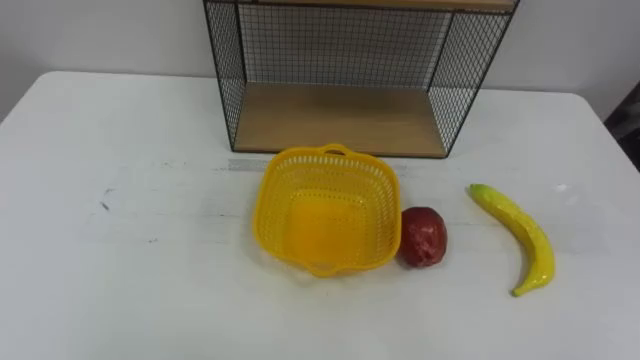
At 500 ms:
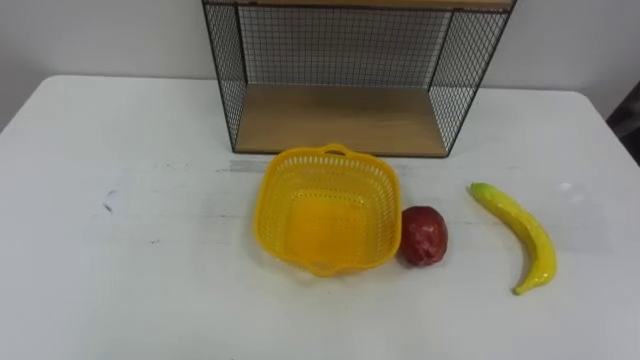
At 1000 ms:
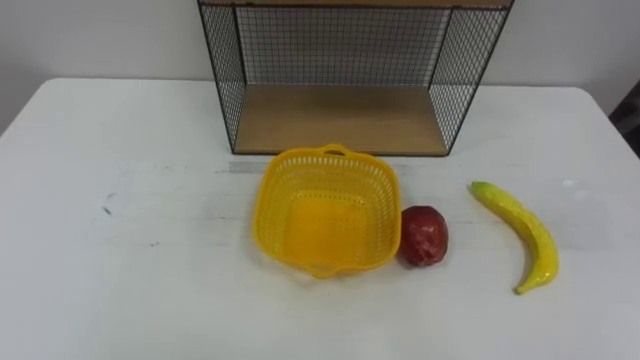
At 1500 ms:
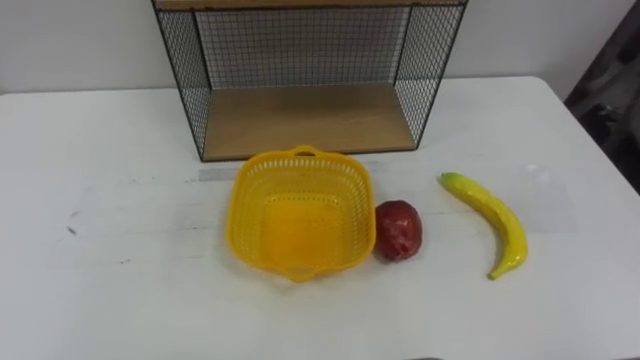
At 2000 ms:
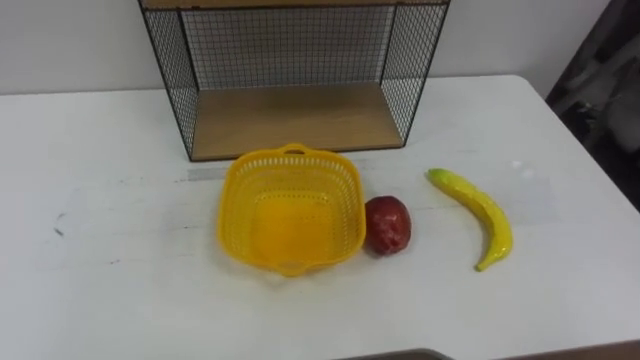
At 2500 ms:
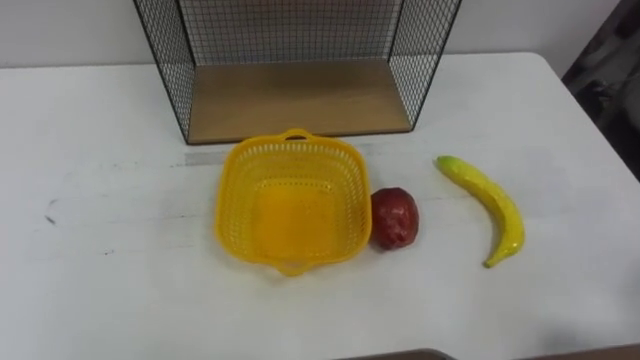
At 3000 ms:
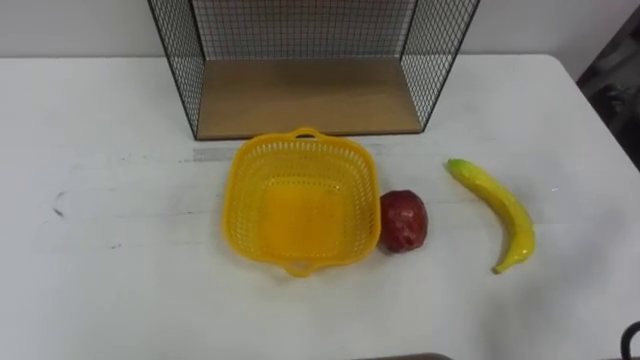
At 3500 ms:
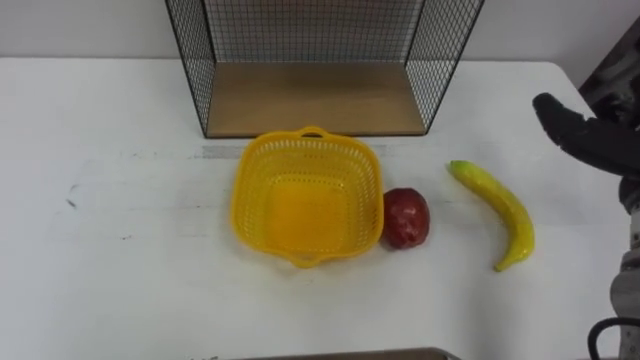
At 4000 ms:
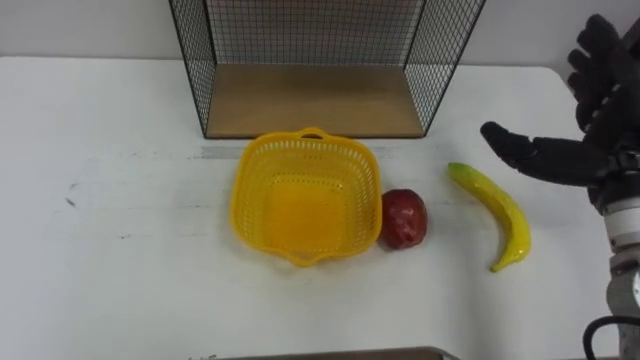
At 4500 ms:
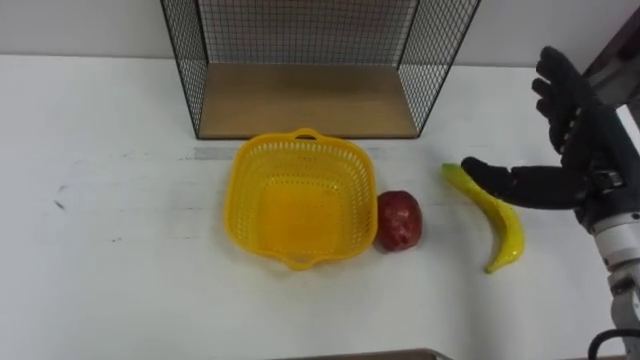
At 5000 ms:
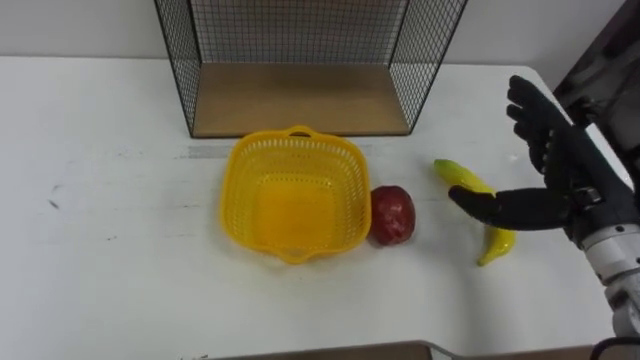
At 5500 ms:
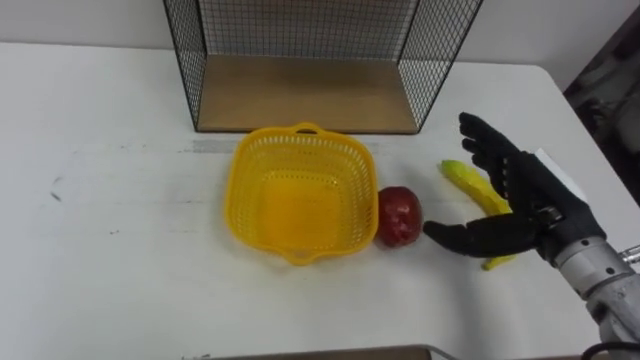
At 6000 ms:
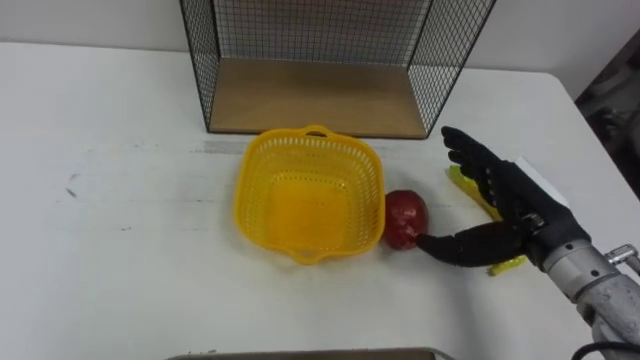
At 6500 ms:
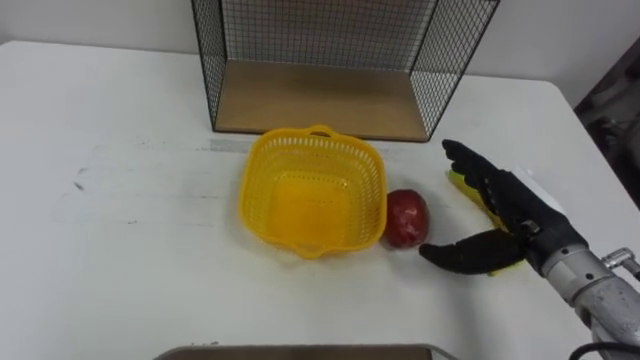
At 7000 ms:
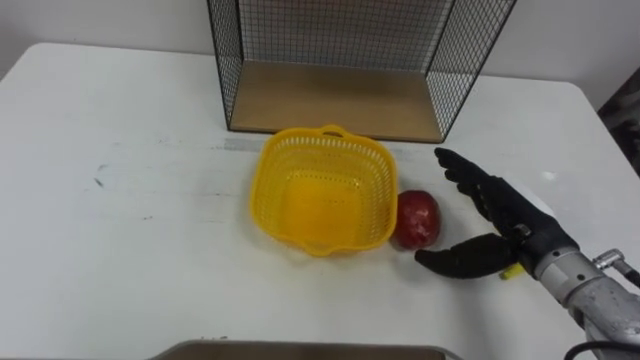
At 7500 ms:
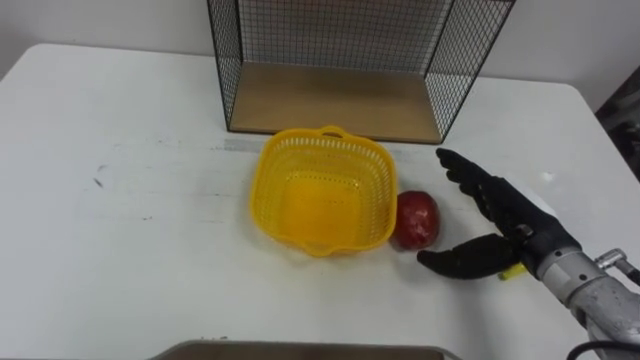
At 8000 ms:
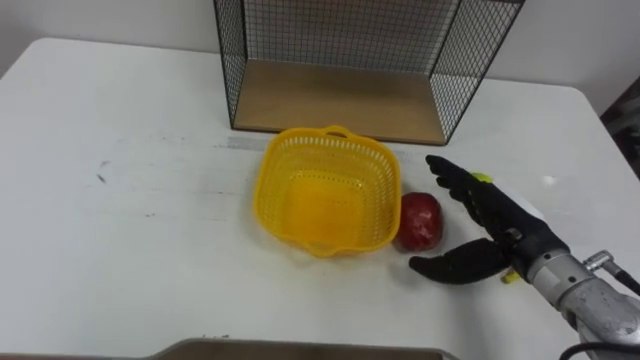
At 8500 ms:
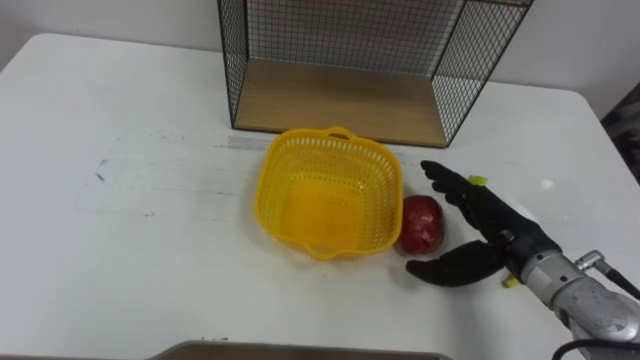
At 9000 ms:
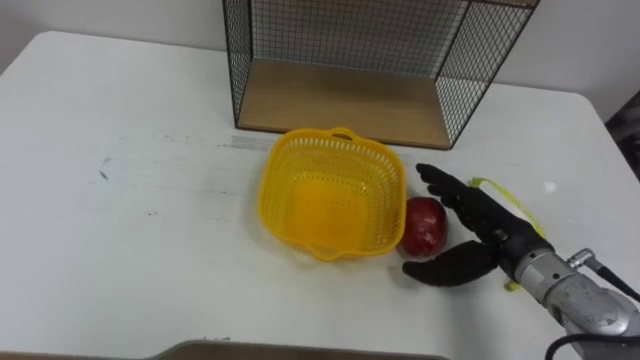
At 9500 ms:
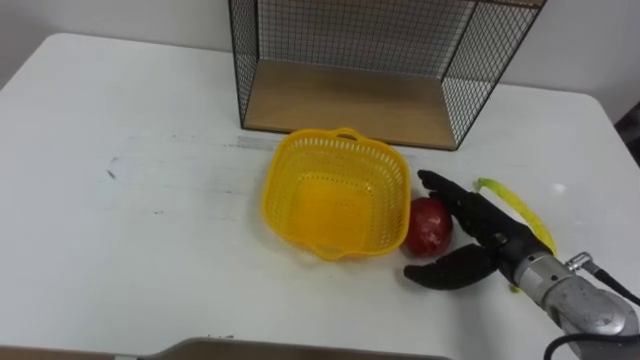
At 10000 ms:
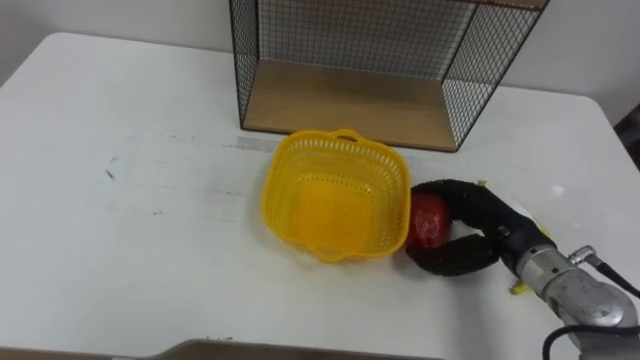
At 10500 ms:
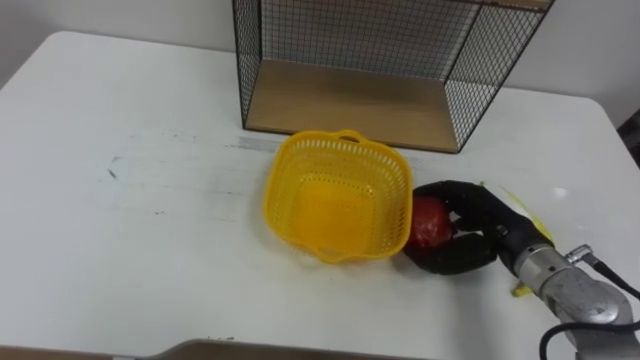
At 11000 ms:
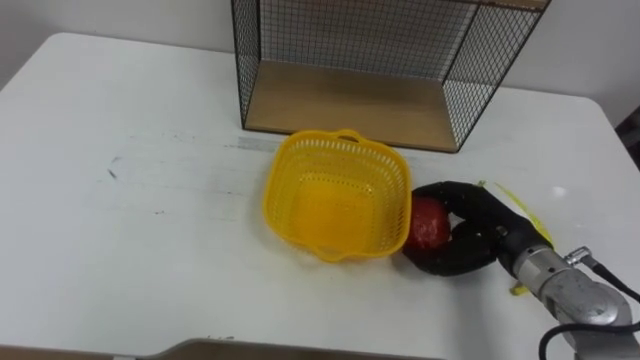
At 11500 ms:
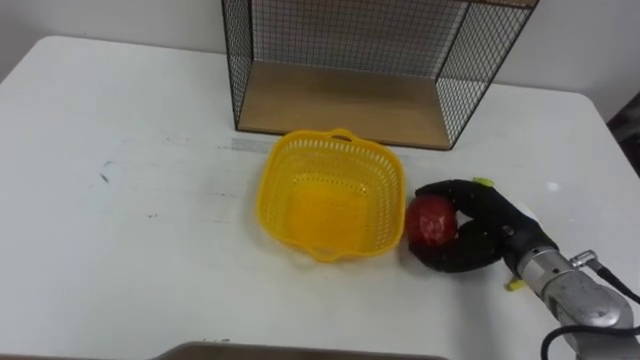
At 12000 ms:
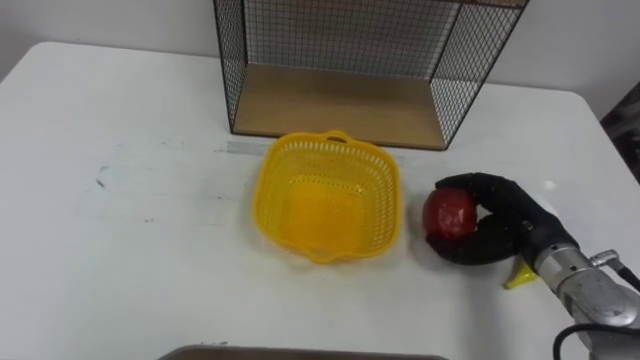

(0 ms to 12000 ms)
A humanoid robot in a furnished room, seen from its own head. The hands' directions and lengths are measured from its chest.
Task of the whole recording: Put the fruit on the table into the basket, then place the basket on the shelf.
4000 ms - 6000 ms: The right hand is displaced downward and to the left by some 10 cm.

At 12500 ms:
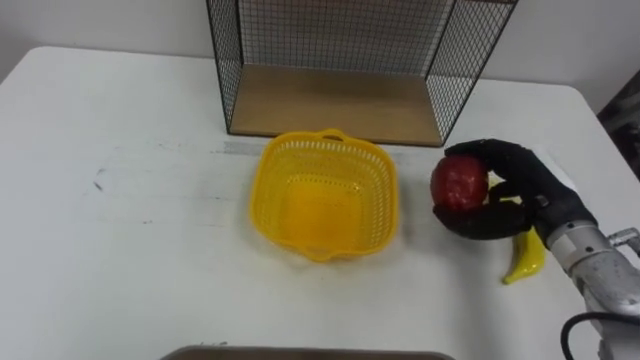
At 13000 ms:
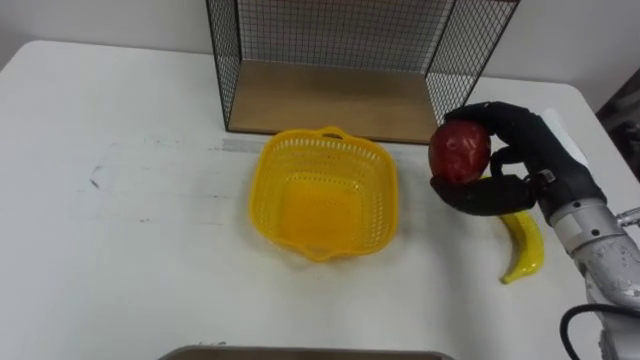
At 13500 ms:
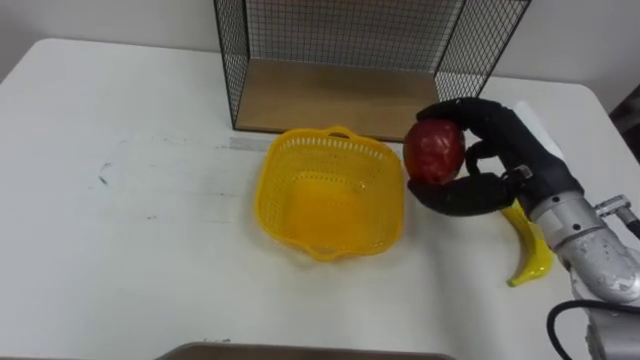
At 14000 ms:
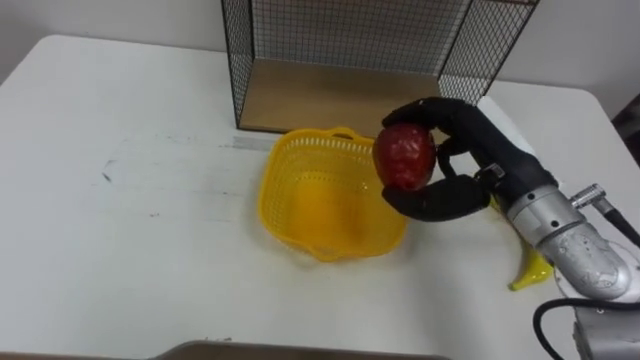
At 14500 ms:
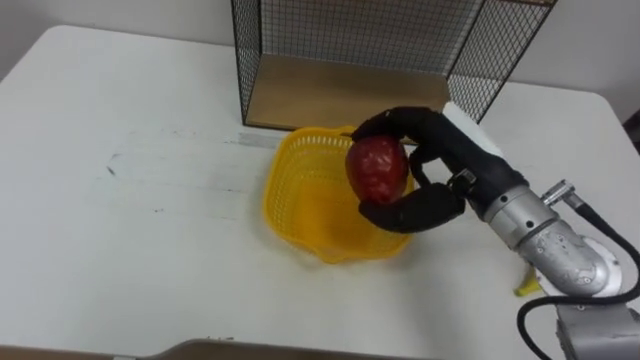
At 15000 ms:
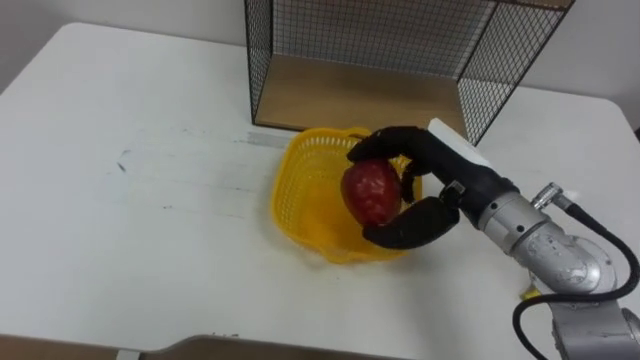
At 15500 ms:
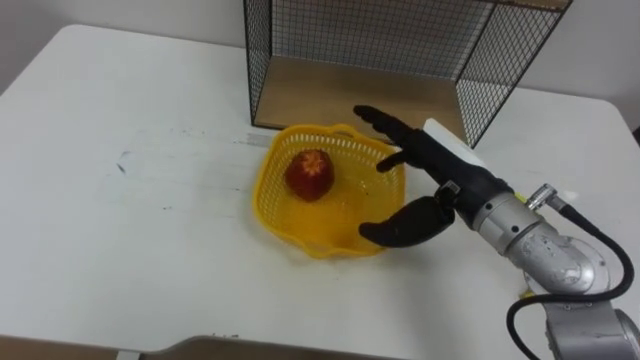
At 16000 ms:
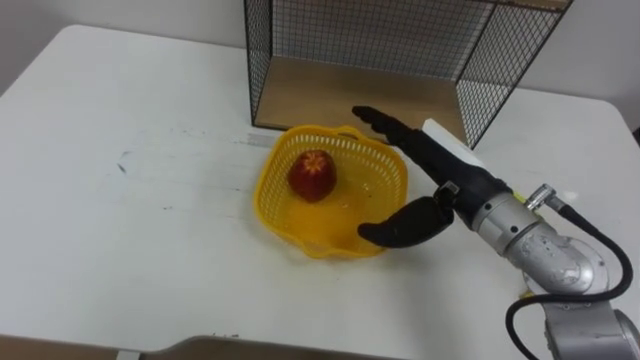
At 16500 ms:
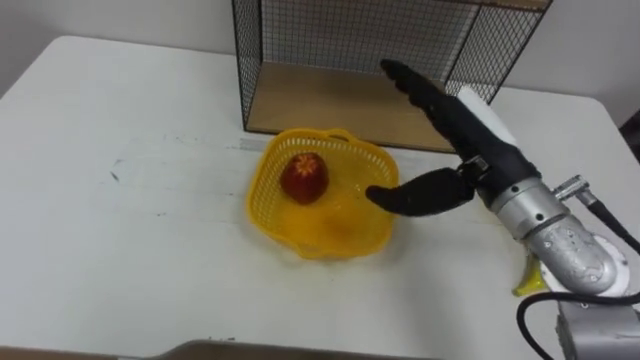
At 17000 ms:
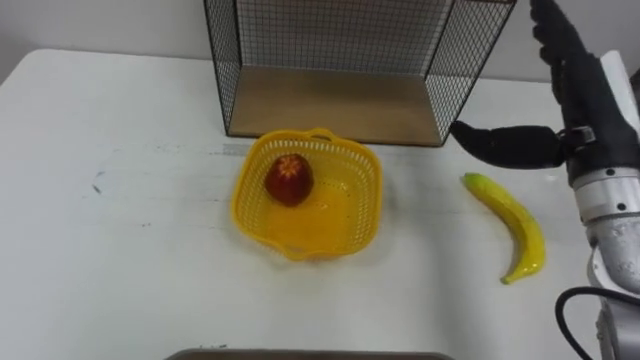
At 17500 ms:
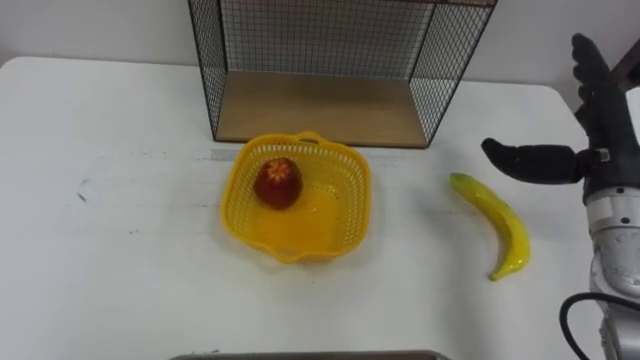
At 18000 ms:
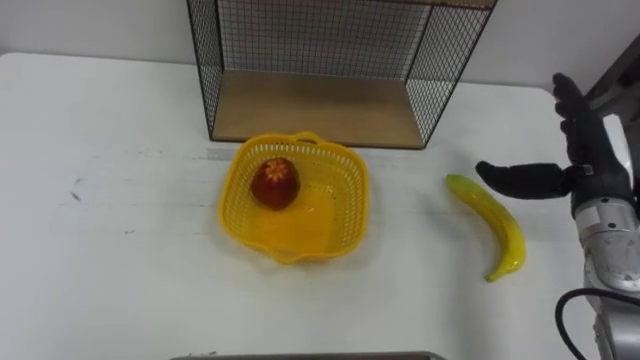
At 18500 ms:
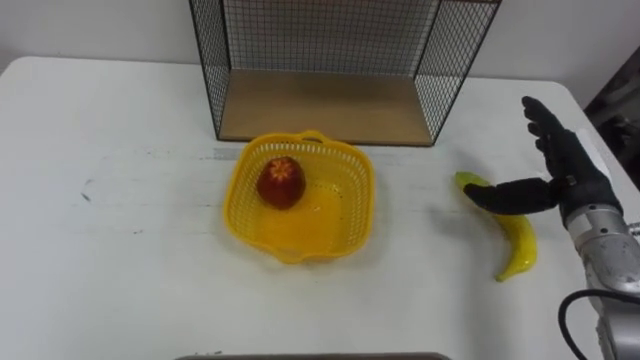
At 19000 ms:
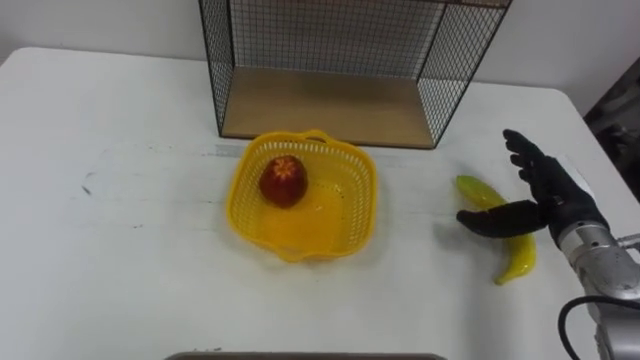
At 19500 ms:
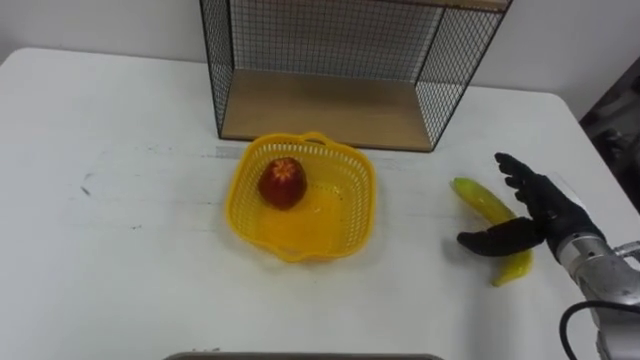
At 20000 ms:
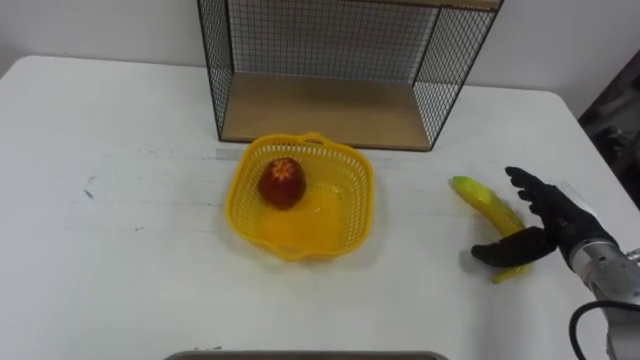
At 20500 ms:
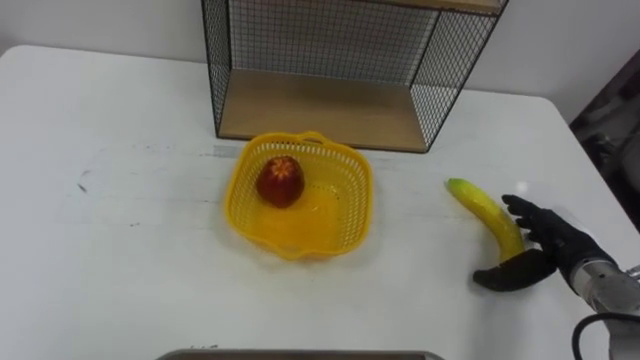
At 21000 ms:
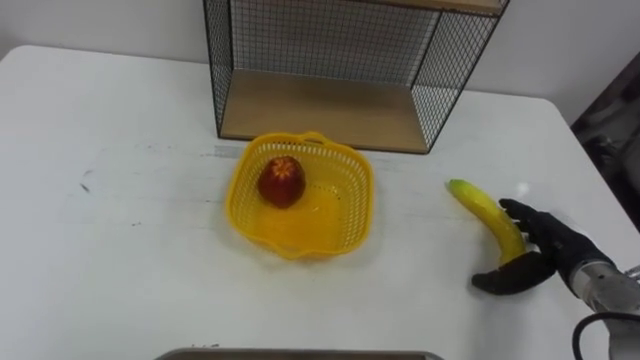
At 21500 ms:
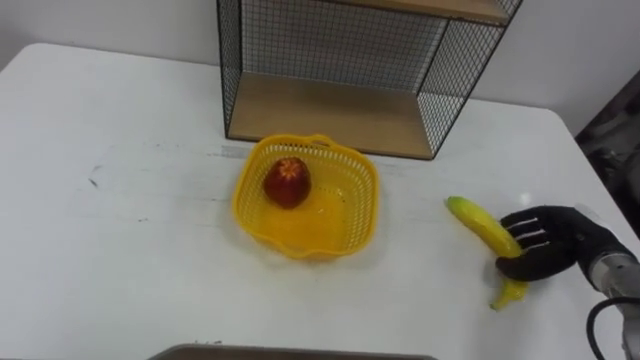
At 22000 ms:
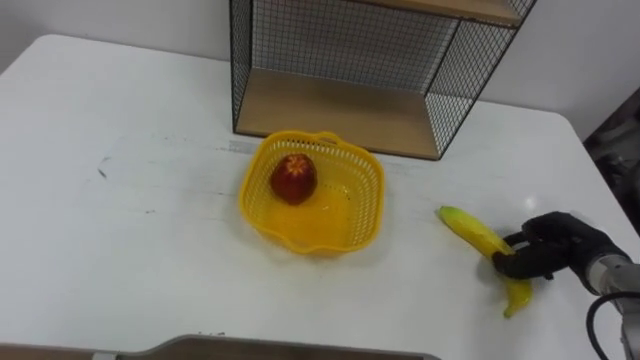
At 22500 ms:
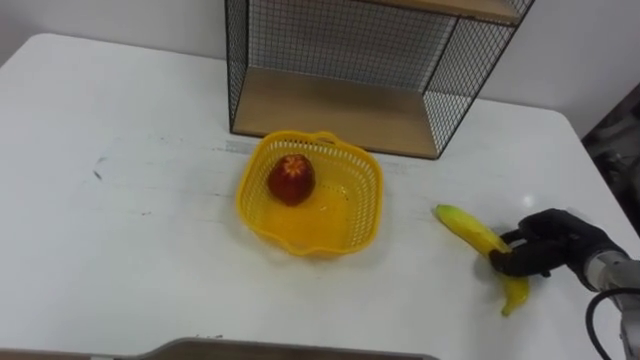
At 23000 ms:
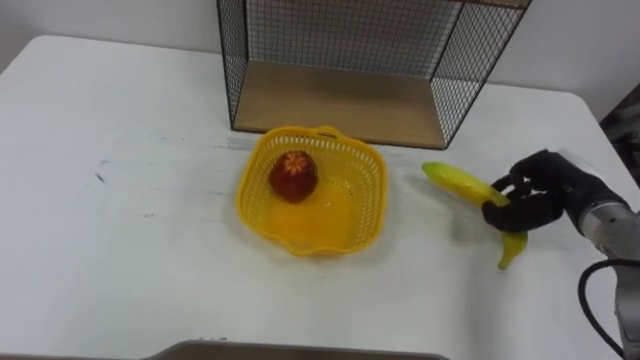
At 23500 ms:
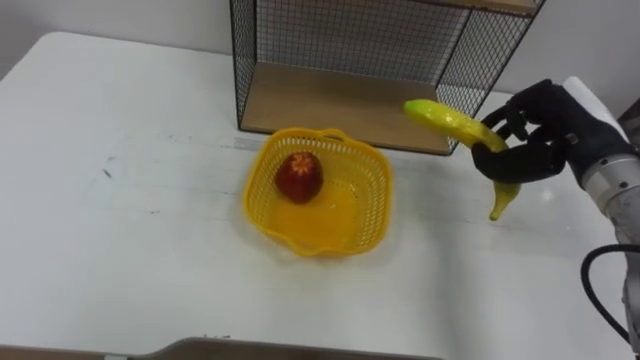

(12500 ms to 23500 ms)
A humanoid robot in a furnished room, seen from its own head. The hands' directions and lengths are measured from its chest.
Task of the whole recording: Put the fruit on the table into the basket, then place the basket on the shelf.
12500 ms - 14500 ms: The right hand is displaced to the left and upward by about 10 cm.
14500 ms - 16000 ms: The right hand opens.
16000 ms - 18000 ms: The right hand is displaced to the right by about 15 cm.
18000 ms - 20000 ms: The right hand moves downward, roughly 10 cm.
20000 ms - 21500 ms: The right hand closes.
21500 ms - 23500 ms: The right hand travels upward and to the left by roughly 15 cm, and closes its fingers.
